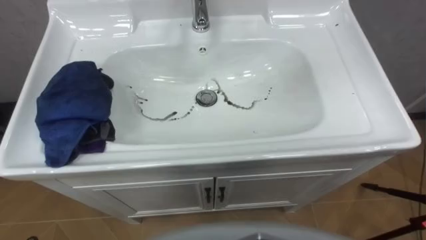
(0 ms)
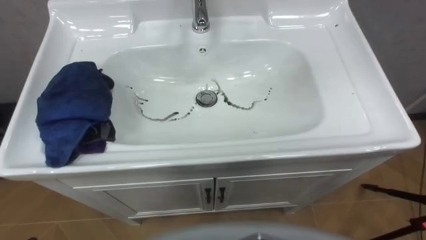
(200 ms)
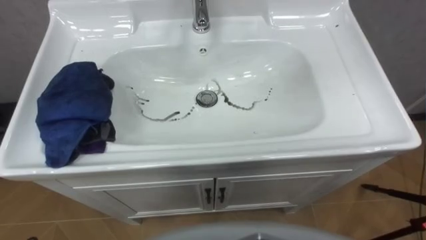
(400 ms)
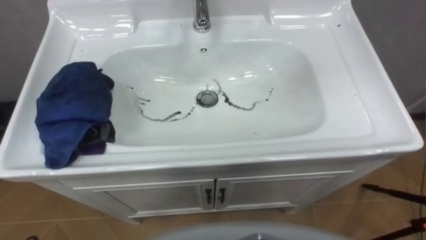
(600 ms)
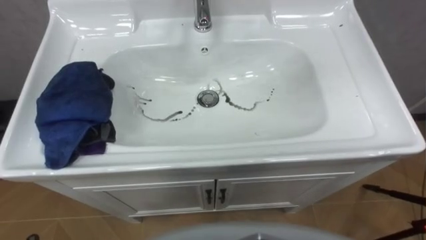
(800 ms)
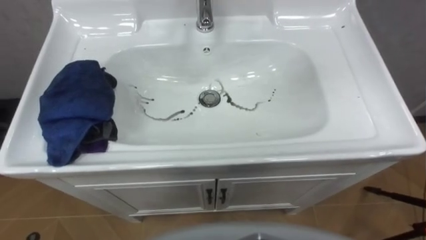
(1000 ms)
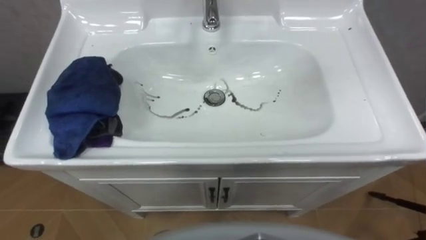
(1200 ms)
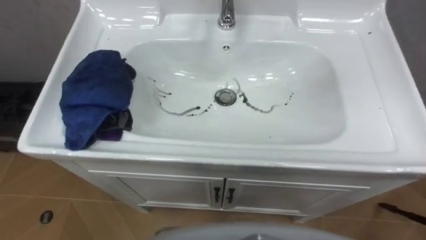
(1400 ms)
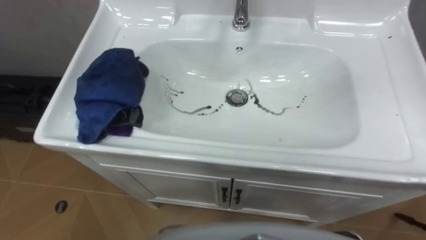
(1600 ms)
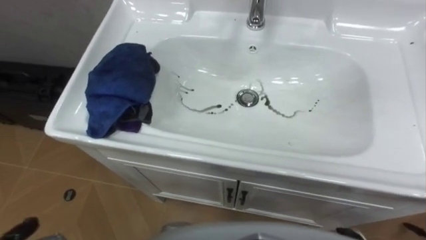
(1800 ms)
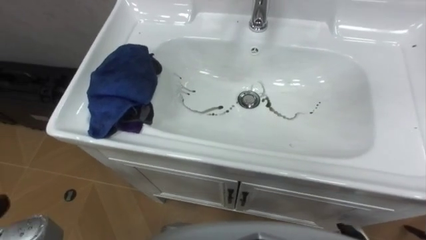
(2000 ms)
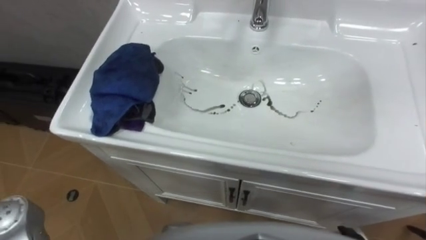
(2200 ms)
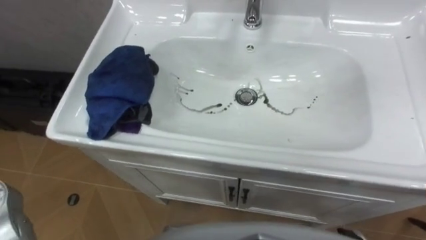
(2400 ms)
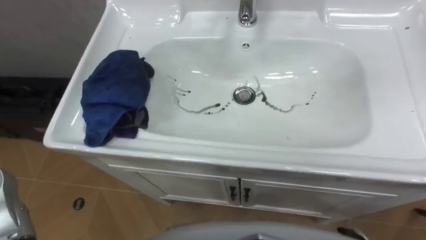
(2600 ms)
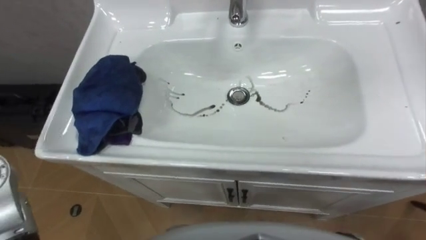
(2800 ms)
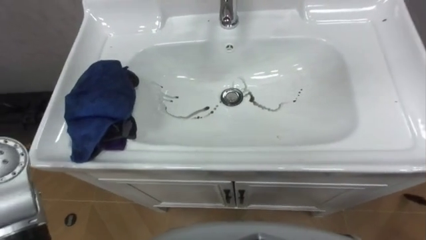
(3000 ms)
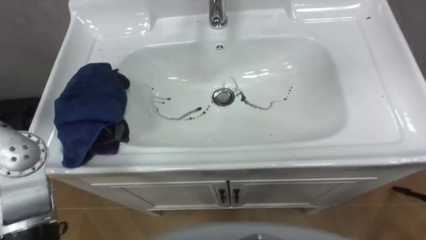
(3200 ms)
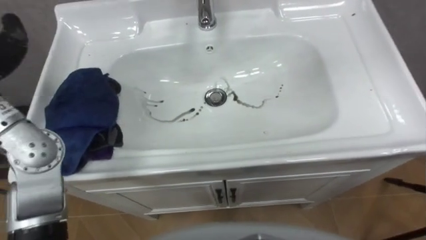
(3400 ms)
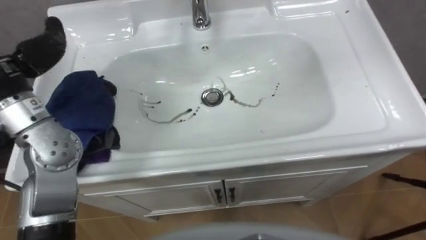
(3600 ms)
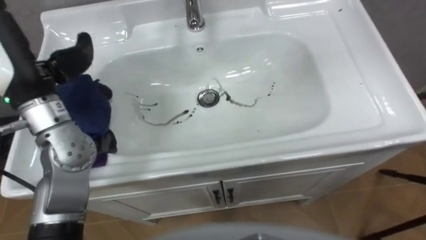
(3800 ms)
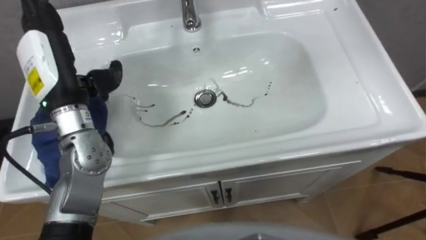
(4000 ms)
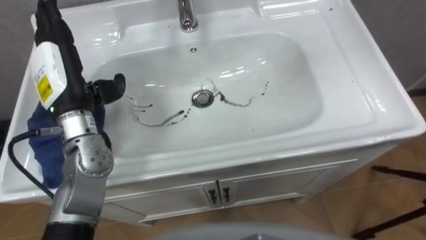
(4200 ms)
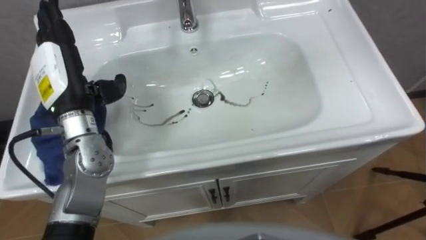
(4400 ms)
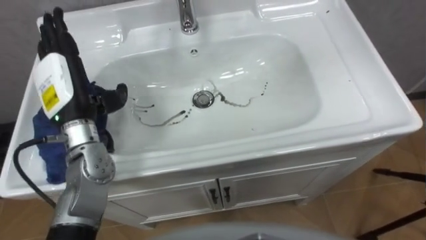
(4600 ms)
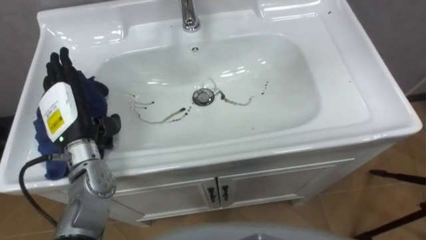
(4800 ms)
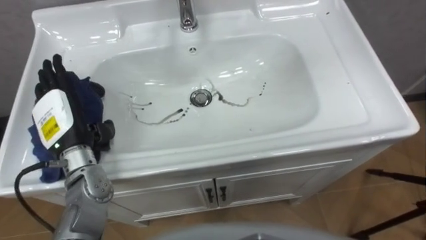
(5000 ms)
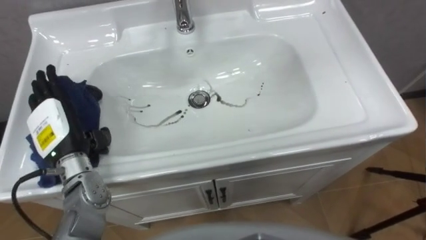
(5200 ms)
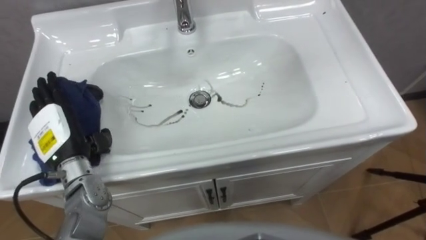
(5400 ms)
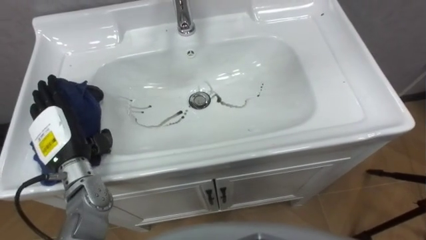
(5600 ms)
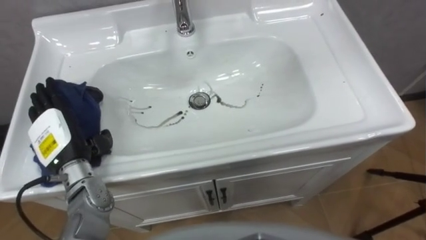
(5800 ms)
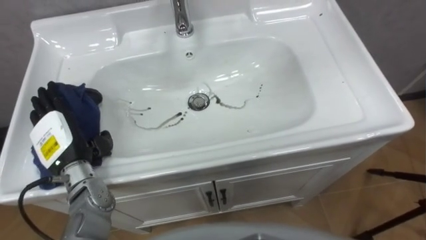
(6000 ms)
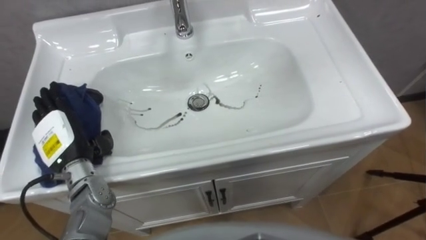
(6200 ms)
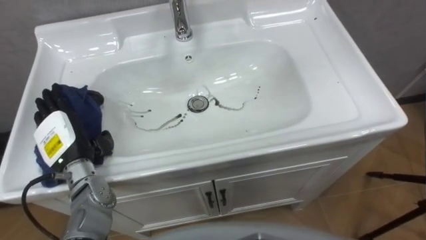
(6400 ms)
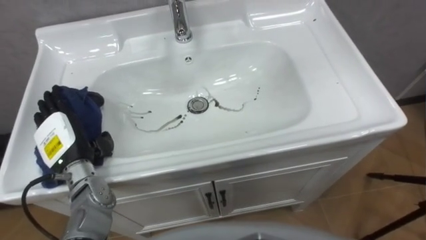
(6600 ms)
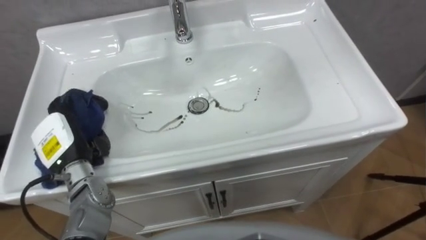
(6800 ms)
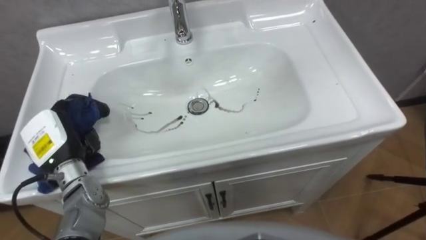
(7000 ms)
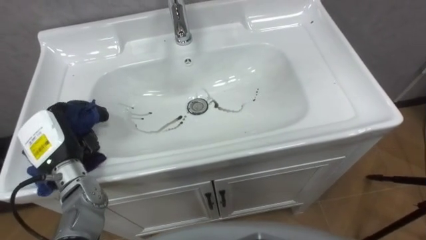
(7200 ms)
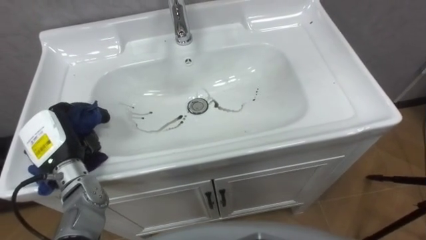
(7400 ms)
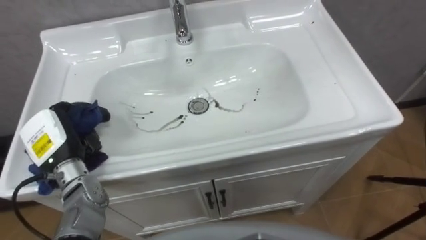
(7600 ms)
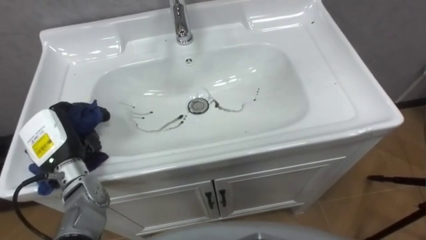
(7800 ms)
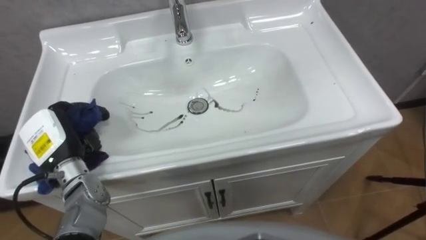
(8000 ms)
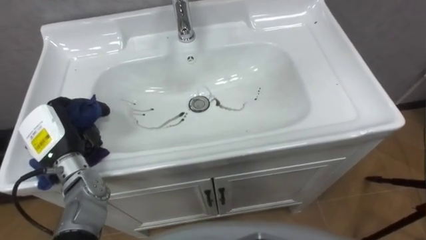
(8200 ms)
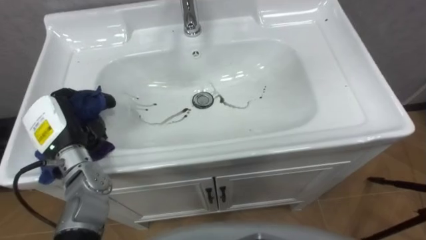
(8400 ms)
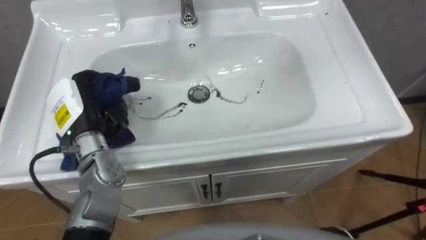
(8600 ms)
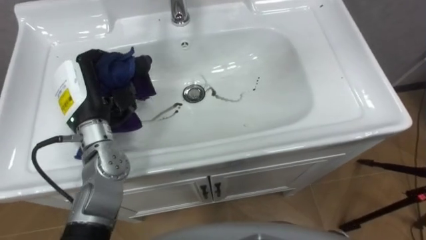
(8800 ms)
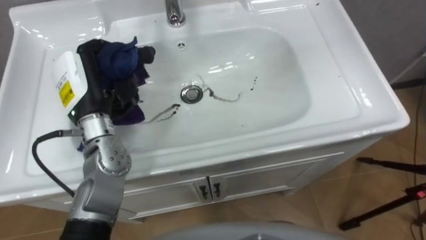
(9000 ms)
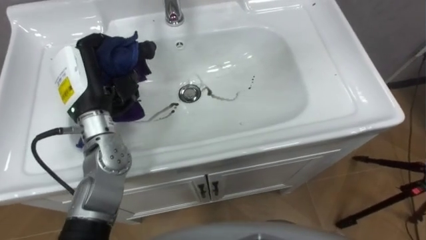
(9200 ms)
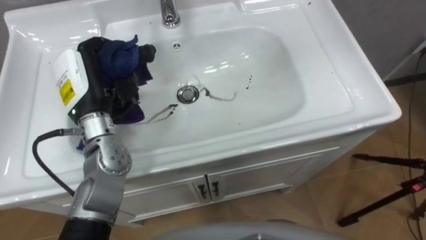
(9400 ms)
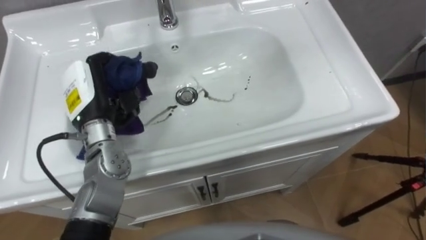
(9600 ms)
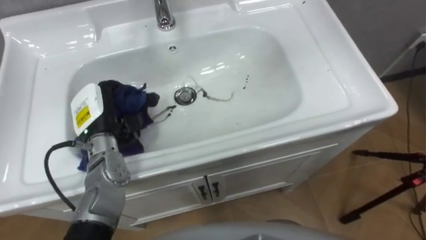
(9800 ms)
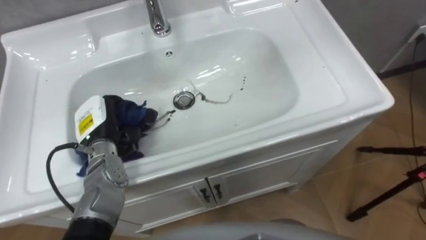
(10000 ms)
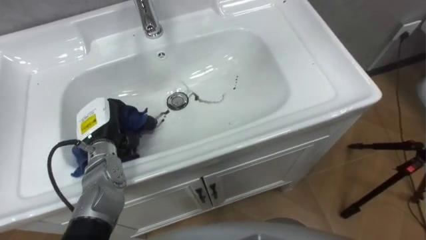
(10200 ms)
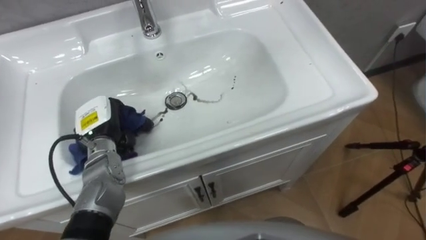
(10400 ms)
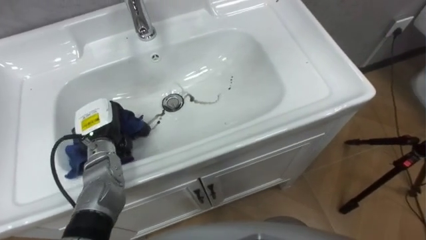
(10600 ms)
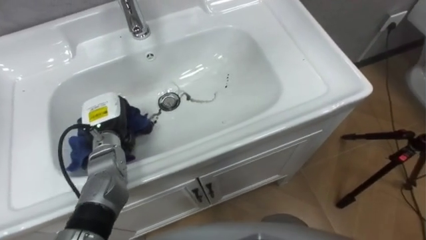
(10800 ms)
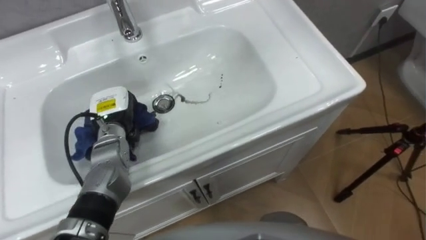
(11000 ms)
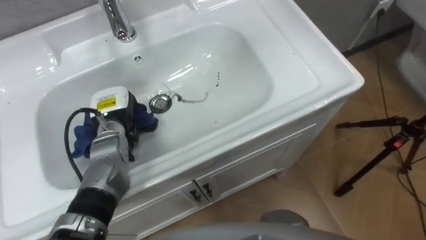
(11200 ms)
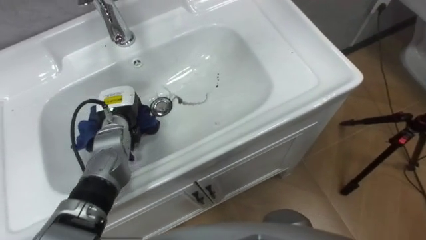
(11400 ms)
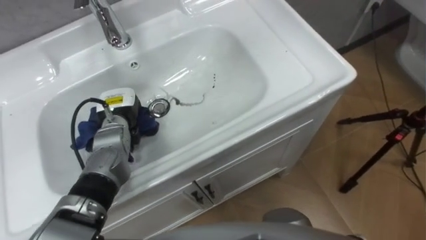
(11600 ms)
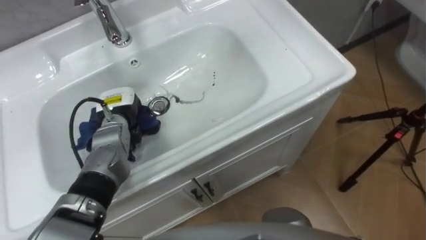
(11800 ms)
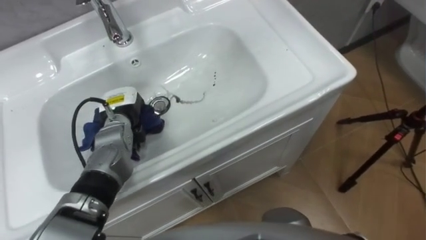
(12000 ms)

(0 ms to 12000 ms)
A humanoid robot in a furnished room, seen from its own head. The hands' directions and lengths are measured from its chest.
Task of the whole recording: Use the cloth on the right to wipe away the black stain in the sink.
4400 ms - 6000 ms: The left hand moves downward and backward, some 15 cm.
6000 ms - 7600 ms: The left hand closes up.
7600 ms - 9000 ms: The left hand heads upward, to the right and forward, covering approximately 15 cm.
9000 ms - 10400 ms: The left hand goes approximately 10 cm downward.
10400 ms - 12000 ms: The left hand moves approximately 5 cm.

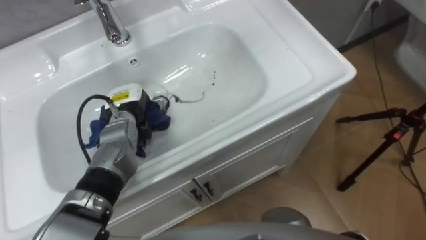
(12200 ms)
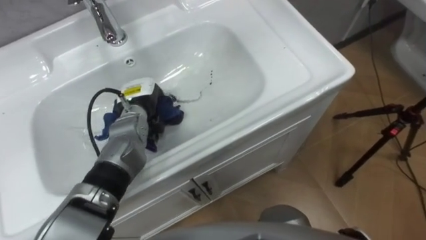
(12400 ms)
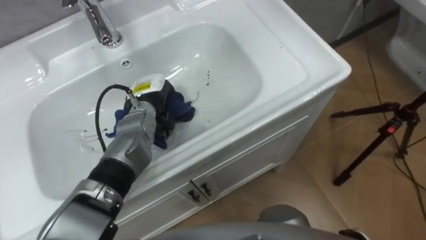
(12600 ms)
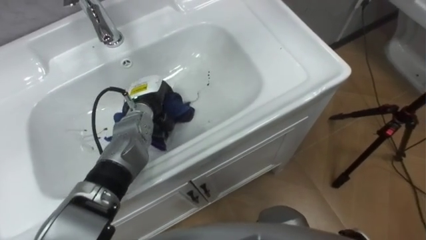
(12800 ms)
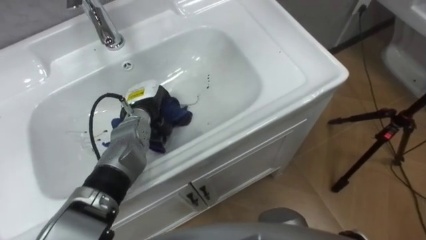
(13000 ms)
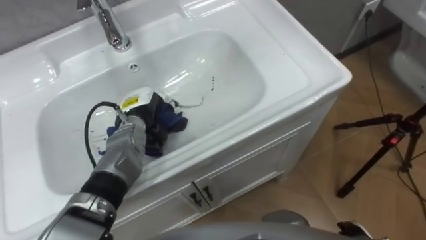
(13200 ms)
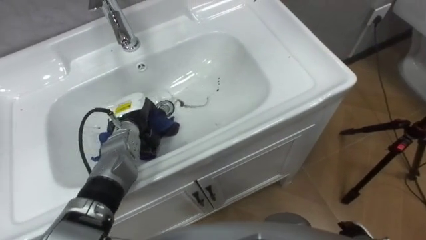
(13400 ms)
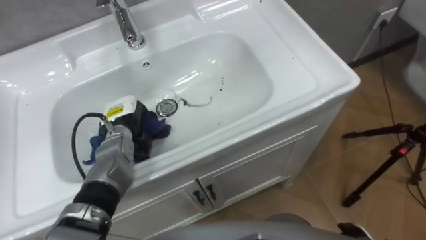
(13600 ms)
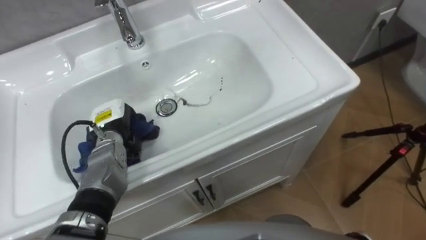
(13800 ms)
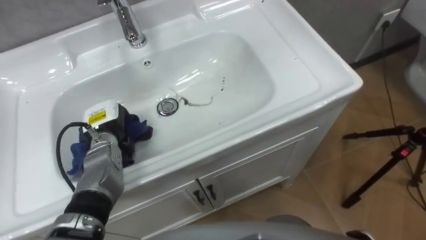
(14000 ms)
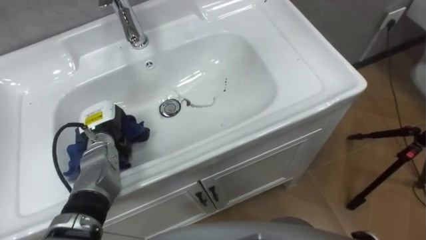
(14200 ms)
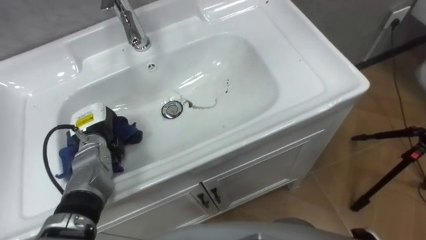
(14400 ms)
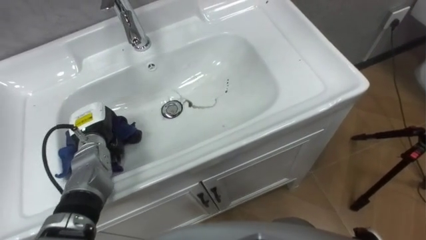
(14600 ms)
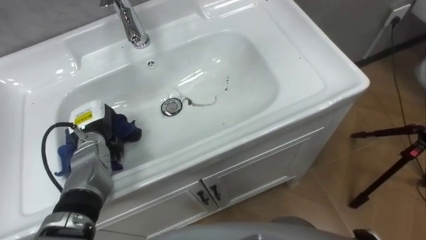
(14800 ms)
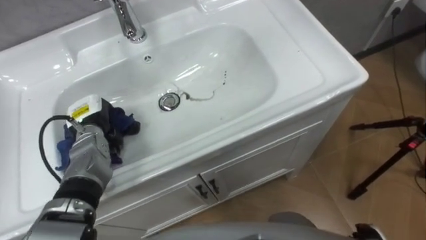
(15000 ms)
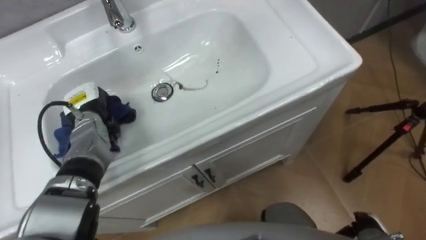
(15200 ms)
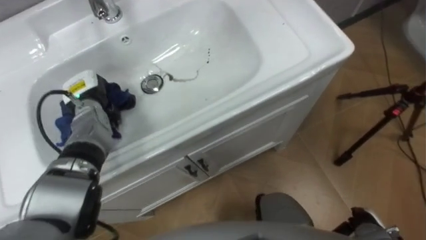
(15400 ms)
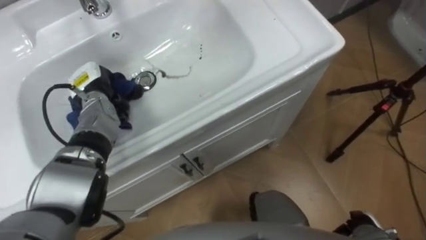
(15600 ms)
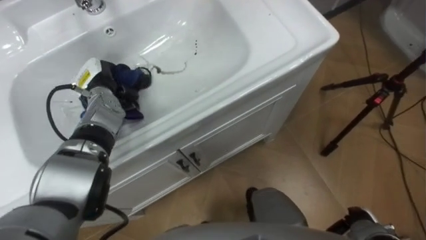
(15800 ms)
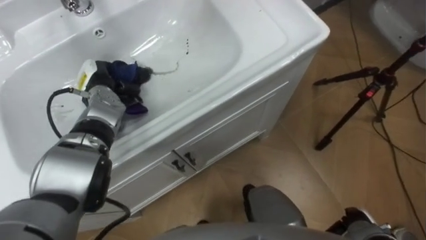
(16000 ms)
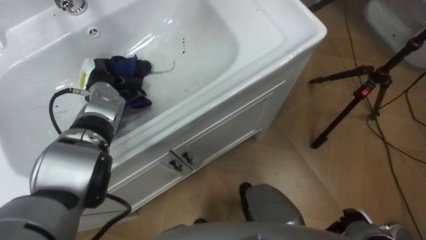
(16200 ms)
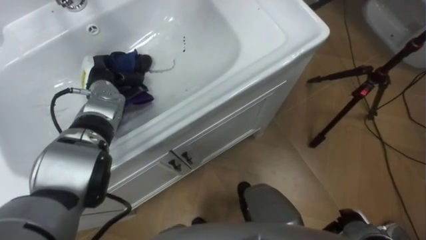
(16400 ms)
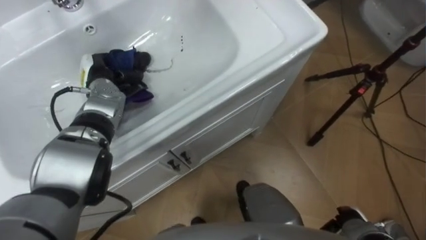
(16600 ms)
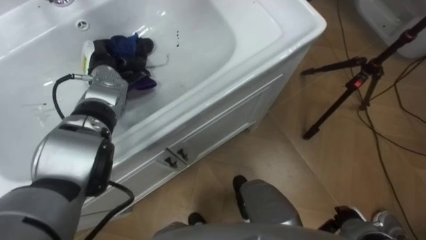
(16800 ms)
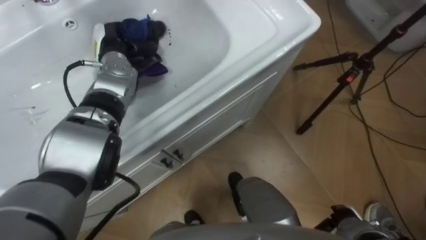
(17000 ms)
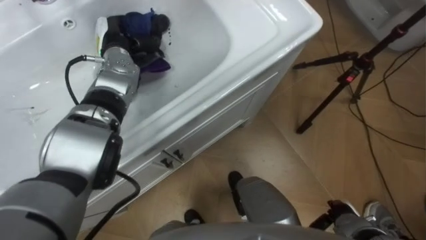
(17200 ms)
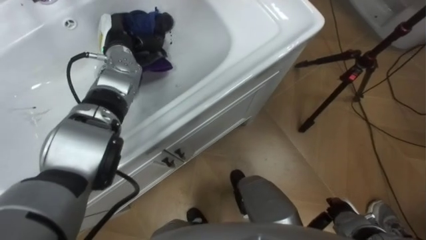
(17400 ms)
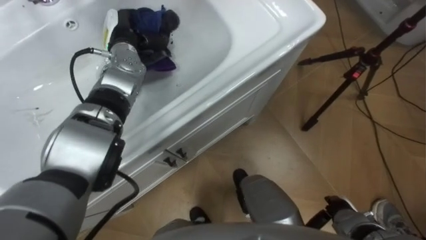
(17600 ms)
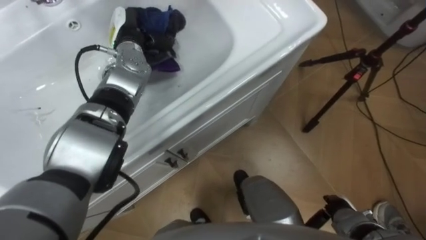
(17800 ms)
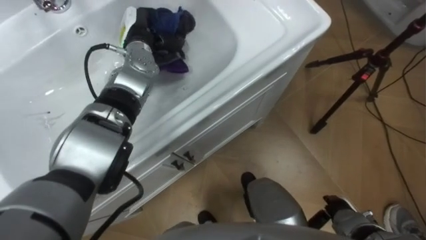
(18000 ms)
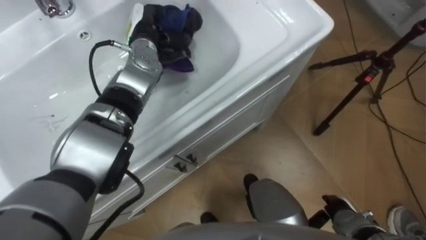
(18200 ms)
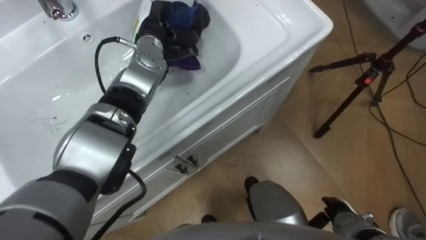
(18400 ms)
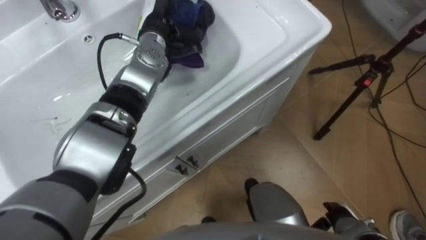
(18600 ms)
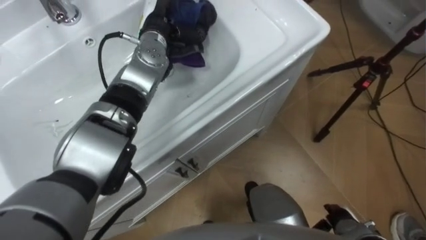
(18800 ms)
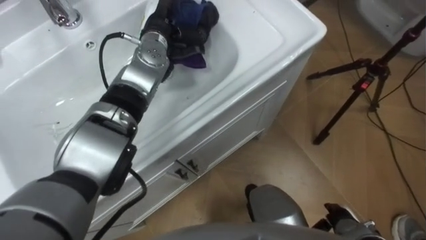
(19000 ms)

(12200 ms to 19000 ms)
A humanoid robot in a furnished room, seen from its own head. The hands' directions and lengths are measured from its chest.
Task of the whole recording: Use the cloth on the right to wipe away the black stain in the sink.
13600 ms - 15000 ms: The left hand goes about 5 cm to the left.
15000 ms - 16200 ms: The left hand is displaced forward by some 10 cm.
16200 ms - 17600 ms: The left hand heads upward, to the right and forward, covering about 10 cm.
17600 ms - 19000 ms: The left hand shifts about 5 cm to the right.
